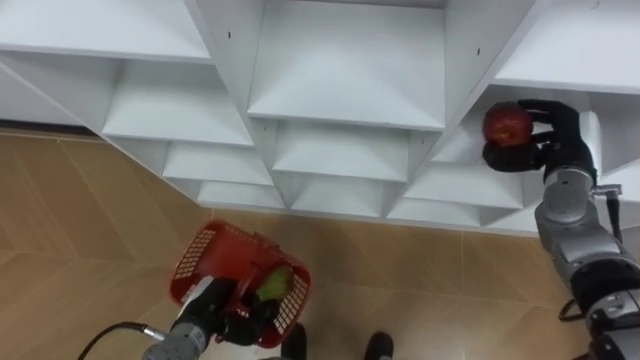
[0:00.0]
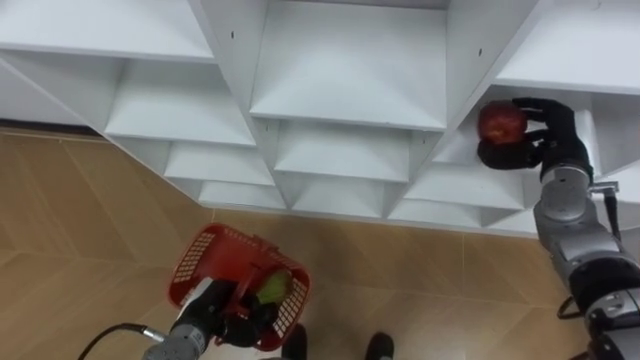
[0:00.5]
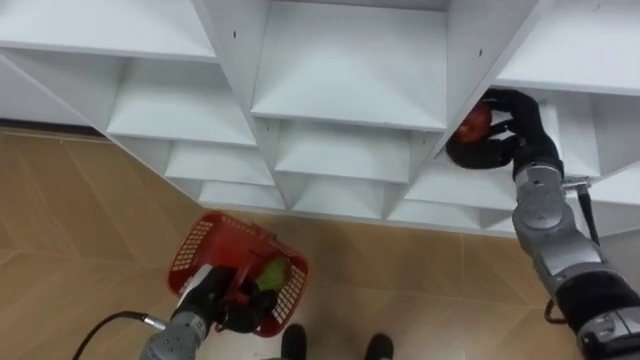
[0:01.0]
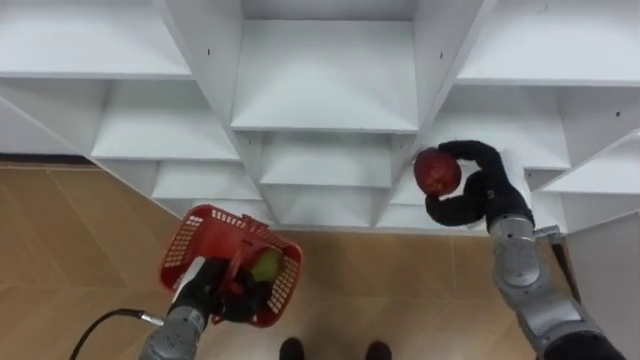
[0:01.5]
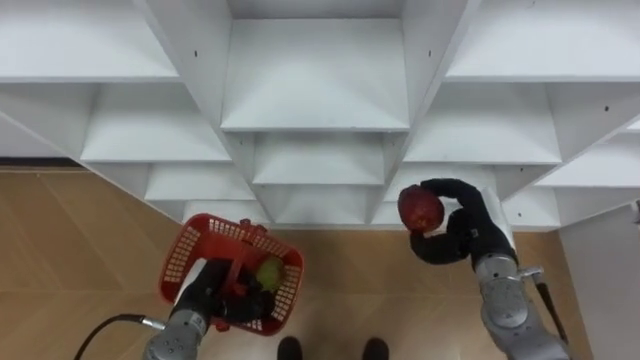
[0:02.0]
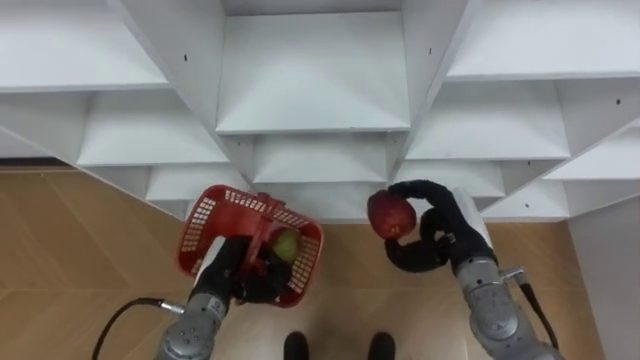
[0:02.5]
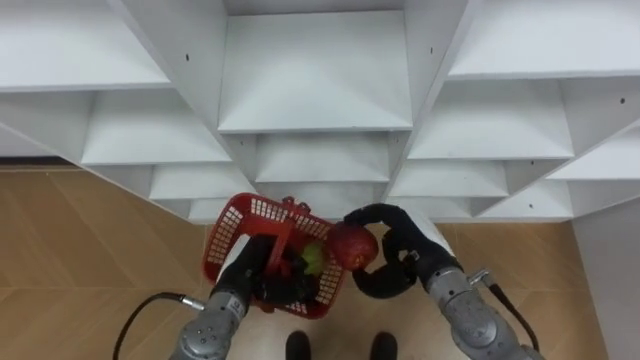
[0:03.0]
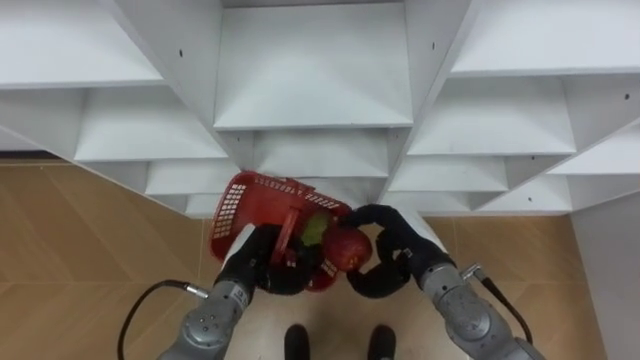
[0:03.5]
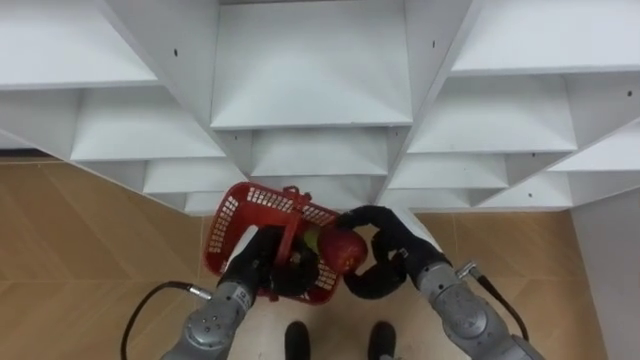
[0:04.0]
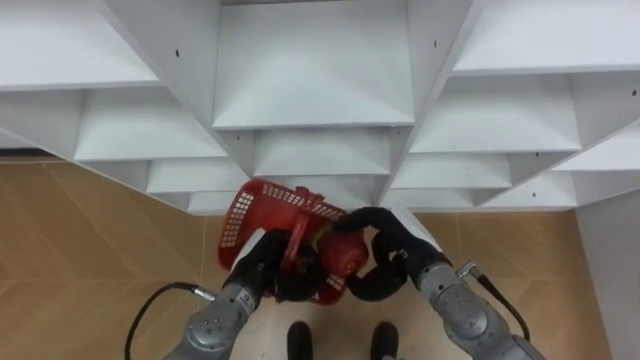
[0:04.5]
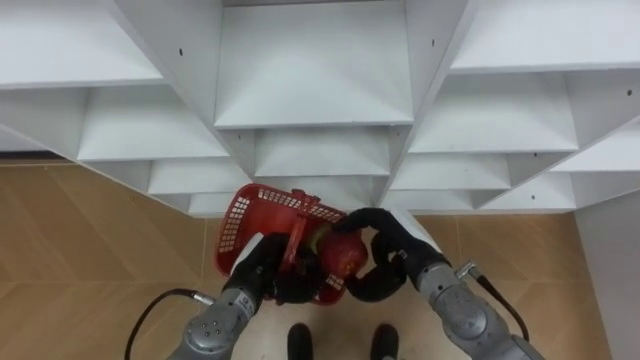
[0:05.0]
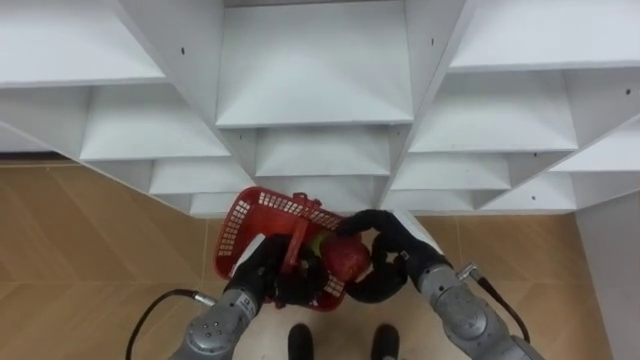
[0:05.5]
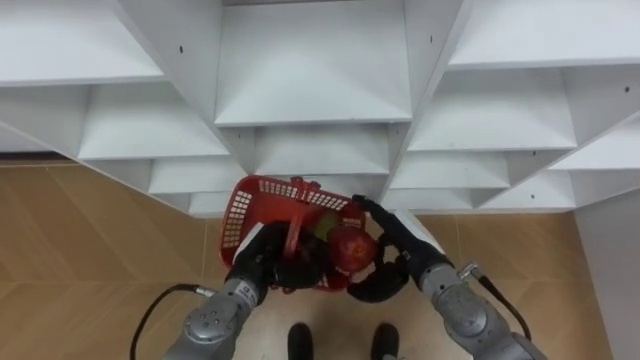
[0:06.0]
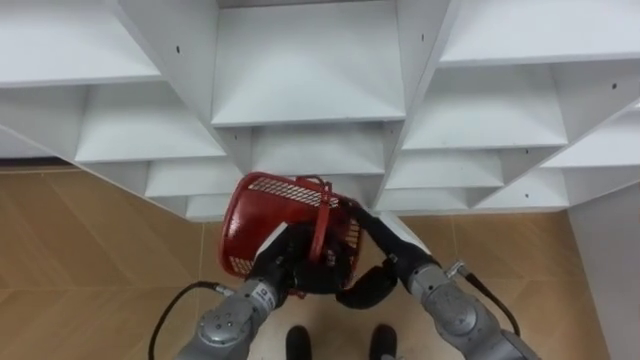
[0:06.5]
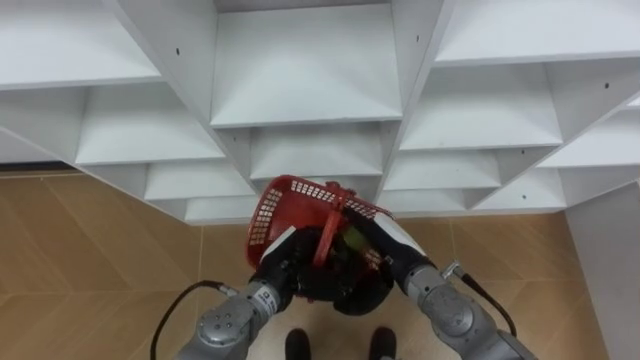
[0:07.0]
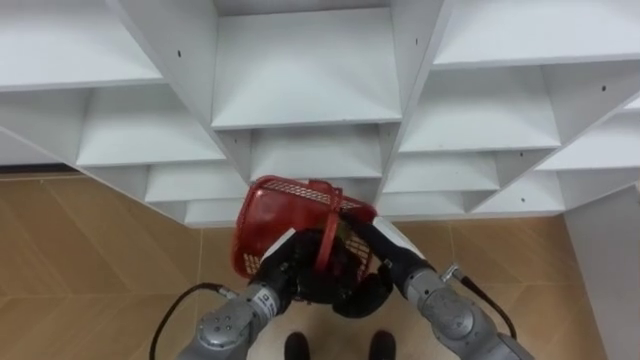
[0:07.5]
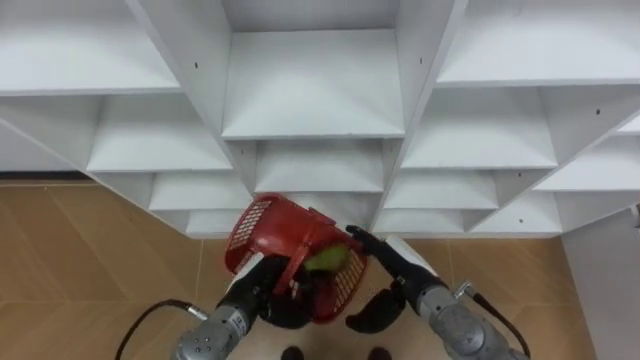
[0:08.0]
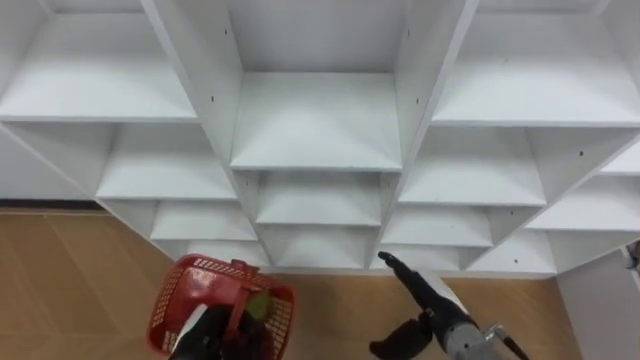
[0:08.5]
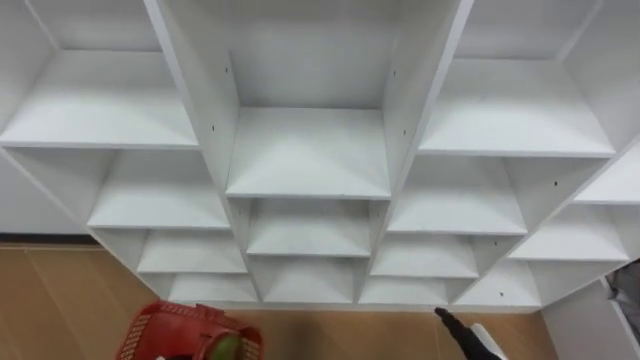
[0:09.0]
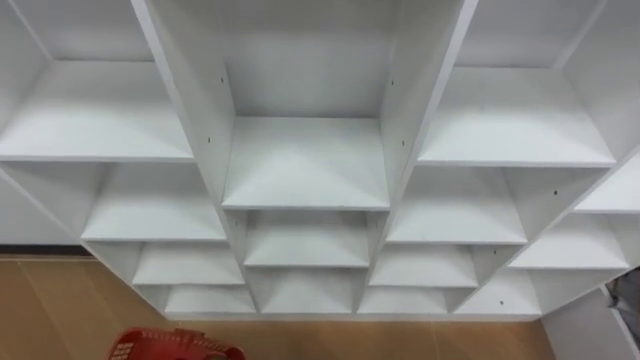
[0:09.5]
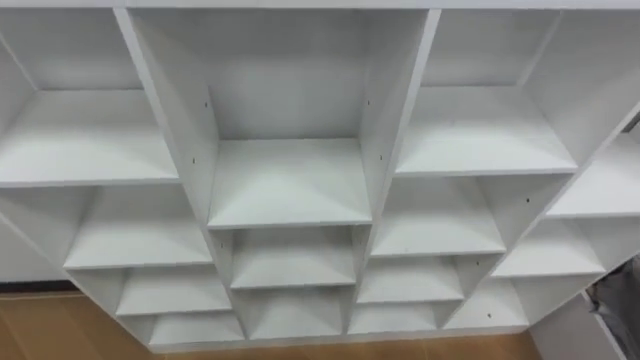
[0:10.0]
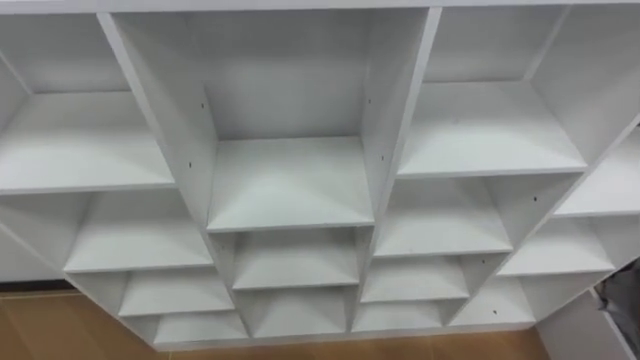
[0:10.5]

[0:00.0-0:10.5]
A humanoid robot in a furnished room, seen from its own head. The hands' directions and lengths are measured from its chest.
Task of the whole recording: Hold the basket and collect the fruits from 3 different cells of the closet into it.
0:00.0 to 0:02.0: The right hand goes approximately 15 cm to the left, backward and downward.
0:02.0 to 0:04.0: The right hand shifts some 10 cm to the left, while the left hand goes some 5 cm to the right.
0:04.0 to 0:06.5: The right hand opens up.
0:06.5 to 0:08.5: The right hand shifts about 10 cm backward, to the right and downward; the left hand is displaced to the left, backward and downward by approximately 15 cm.

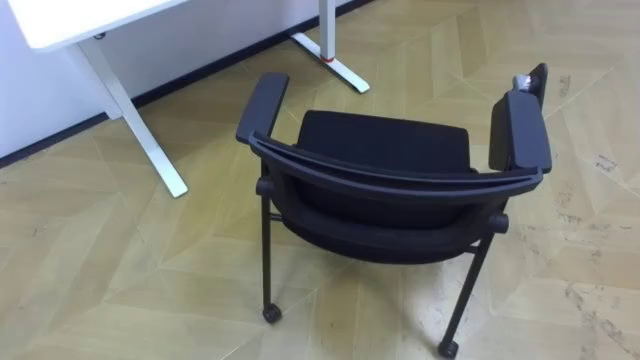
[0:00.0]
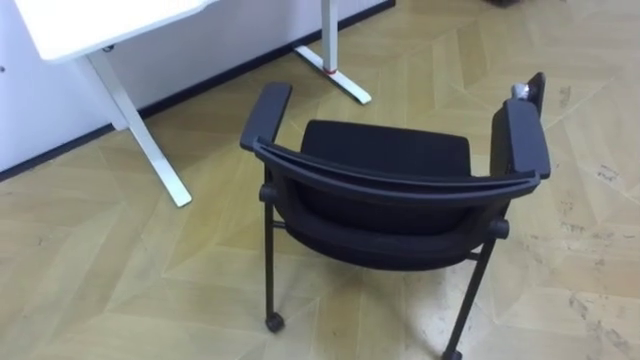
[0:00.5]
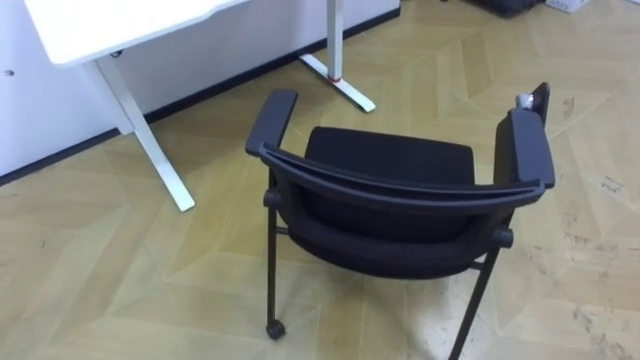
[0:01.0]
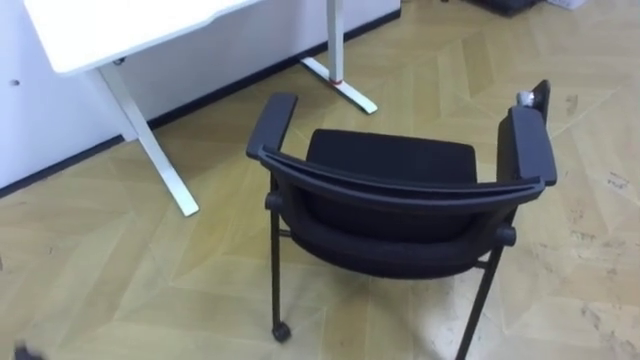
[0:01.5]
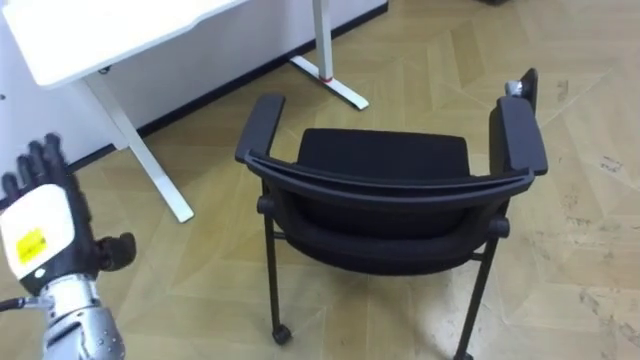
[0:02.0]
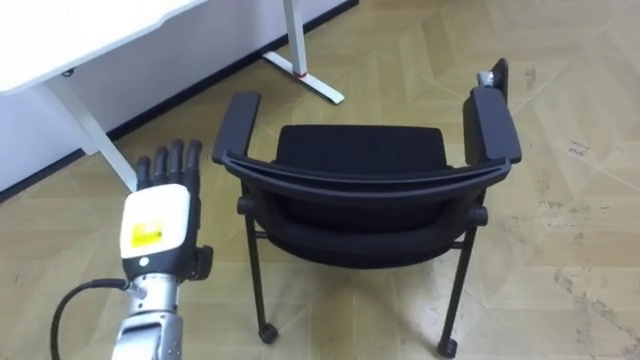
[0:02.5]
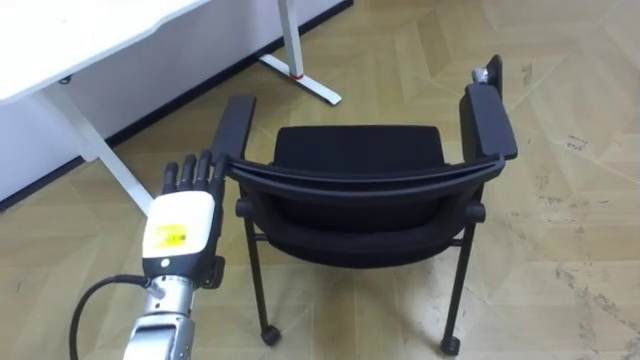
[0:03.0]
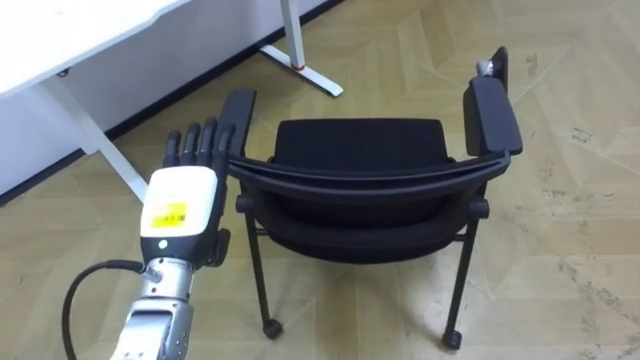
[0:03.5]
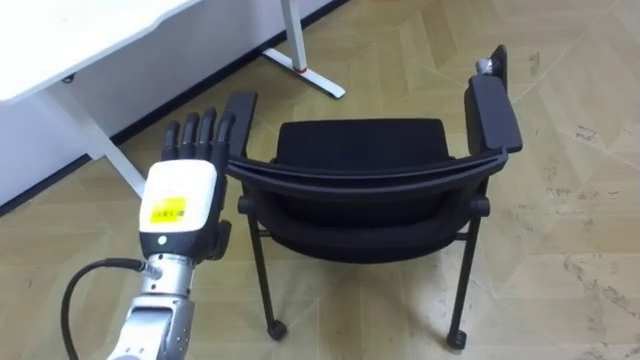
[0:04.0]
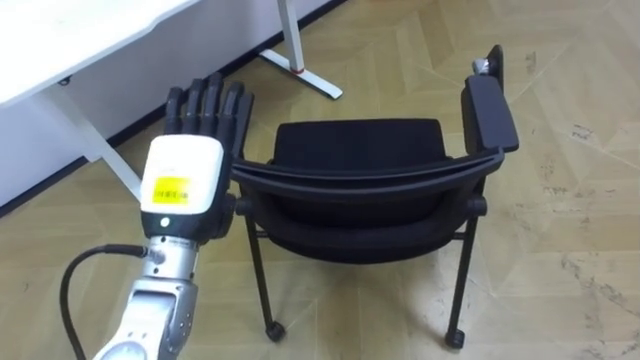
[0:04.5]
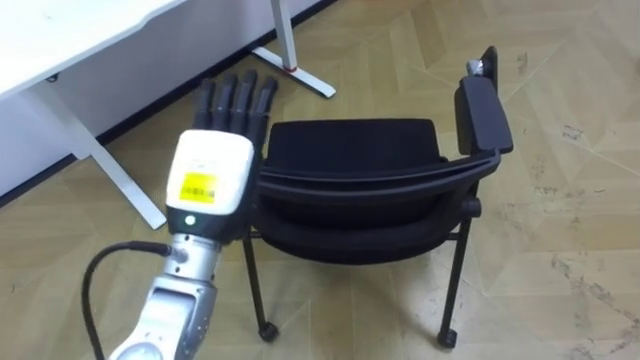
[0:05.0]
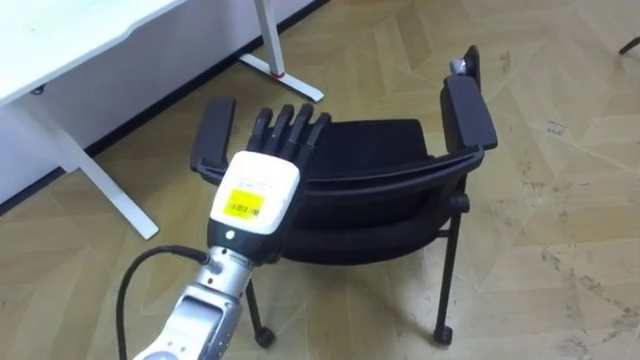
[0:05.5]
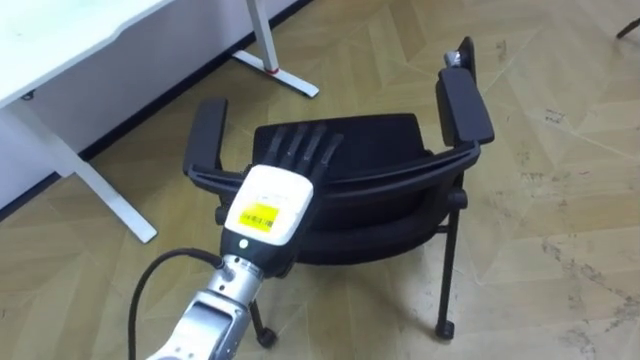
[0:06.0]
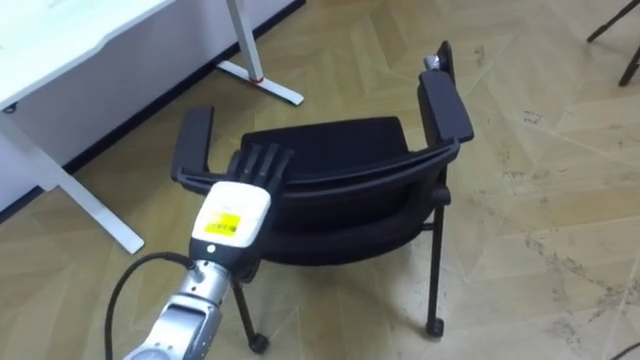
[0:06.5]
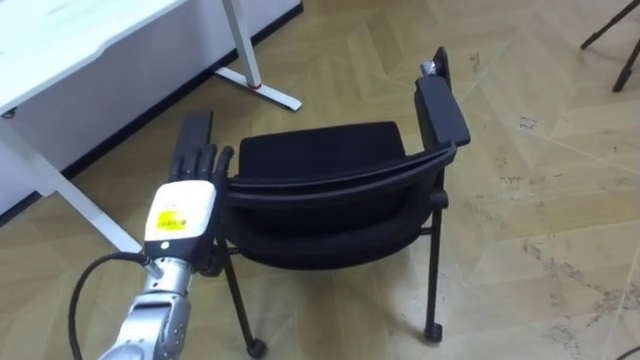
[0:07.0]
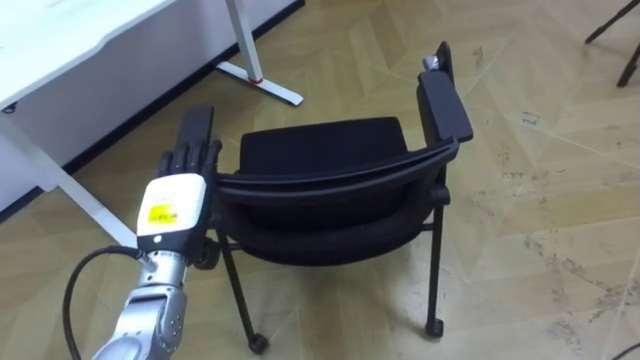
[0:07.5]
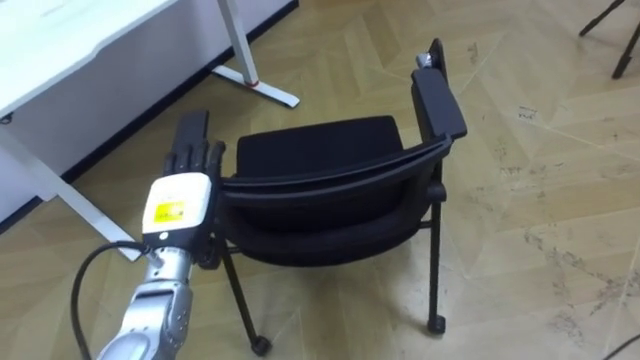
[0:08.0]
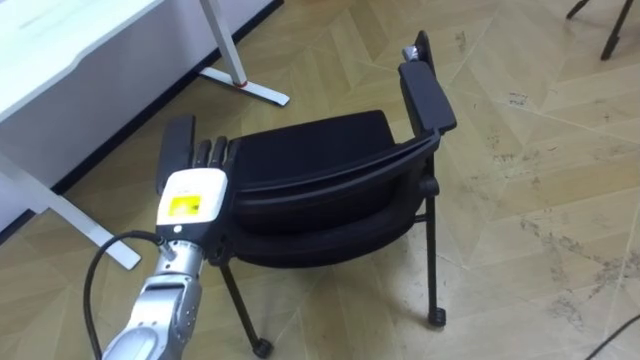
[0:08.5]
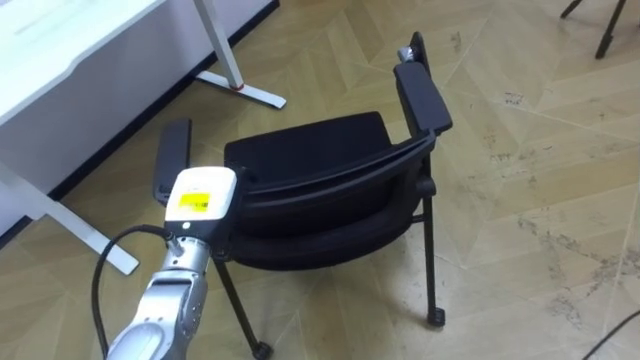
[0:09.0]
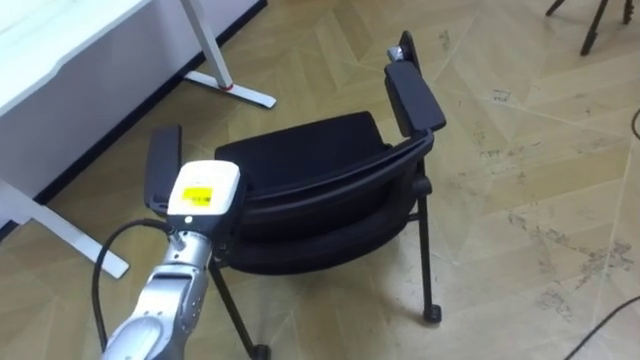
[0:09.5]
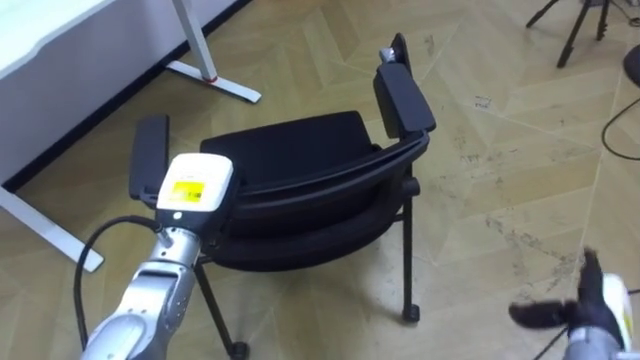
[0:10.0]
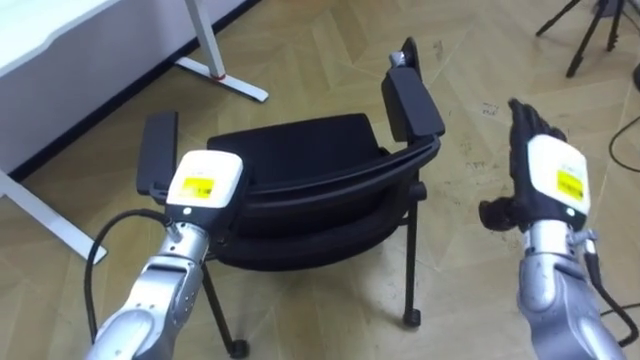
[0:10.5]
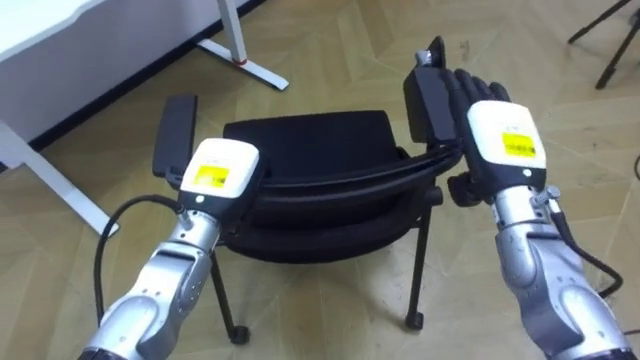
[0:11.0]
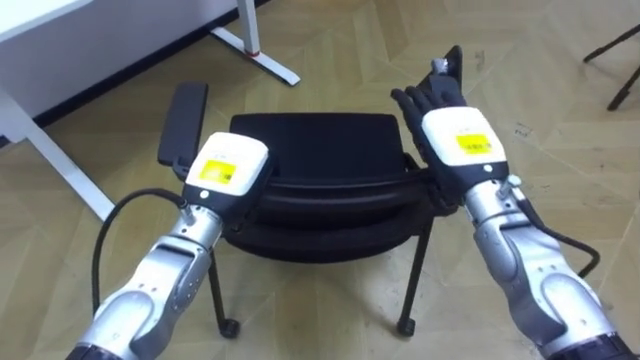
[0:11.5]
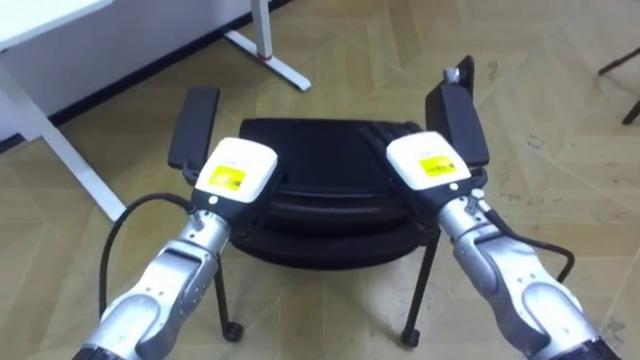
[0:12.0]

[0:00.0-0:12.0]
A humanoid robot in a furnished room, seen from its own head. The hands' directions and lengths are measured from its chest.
Task of the whole recording: Push the chair under the table.
0:02.0 to 0:04.0: The left hand travels to the right by approximately 15 cm.
0:04.0 to 0:06.0: The left hand is displaced to the right by roughly 10 cm.
0:06.0 to 0:08.0: The left hand heads to the left and downward, covering about 10 cm.
0:08.0 to 0:10.0: The left hand closes its fingers.
0:10.0 to 0:12.0: The left hand moves to the right, approximately 5 cm, while the right hand shifts approximately 30 cm to the left, upward and forward.
